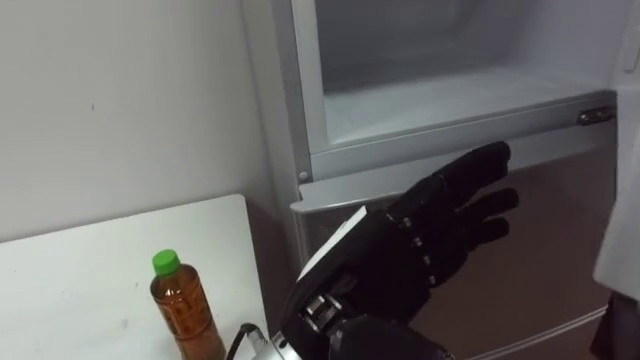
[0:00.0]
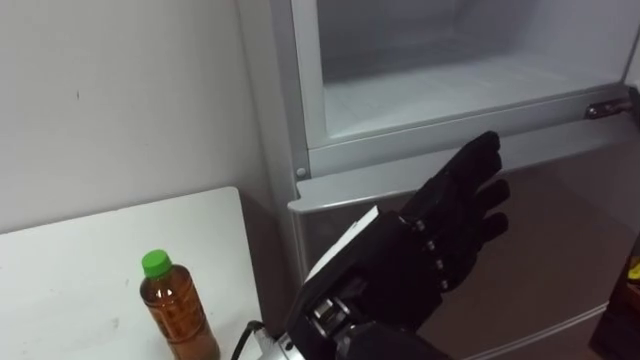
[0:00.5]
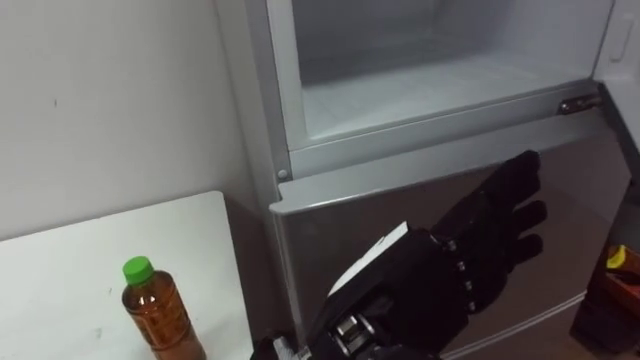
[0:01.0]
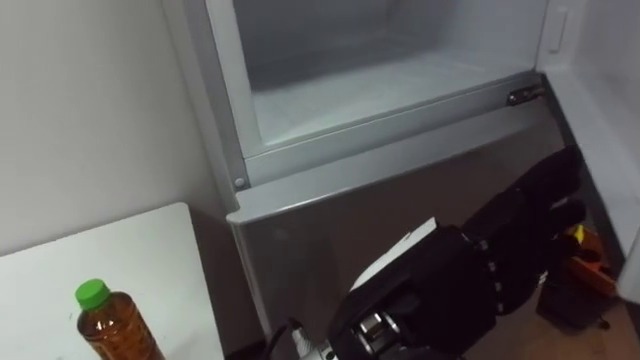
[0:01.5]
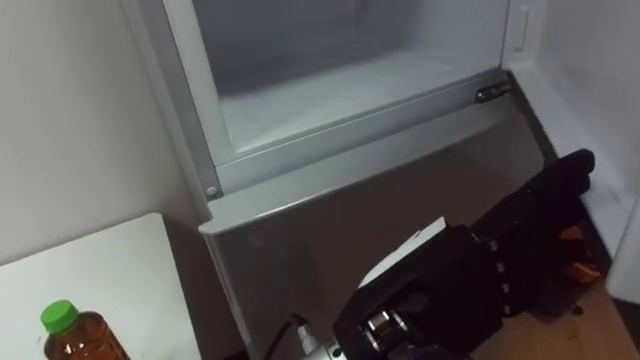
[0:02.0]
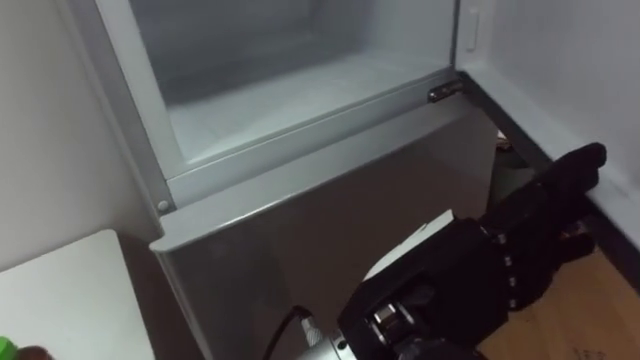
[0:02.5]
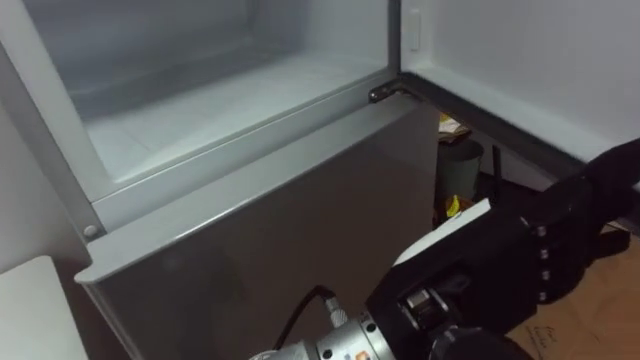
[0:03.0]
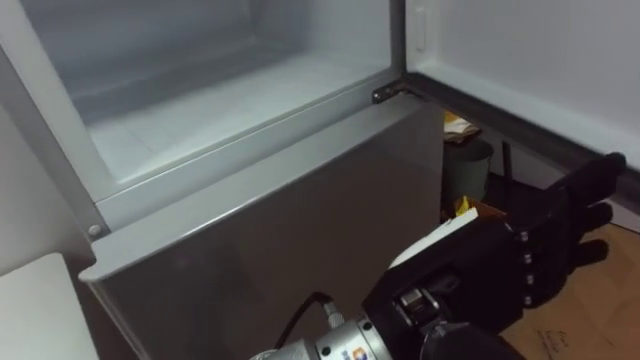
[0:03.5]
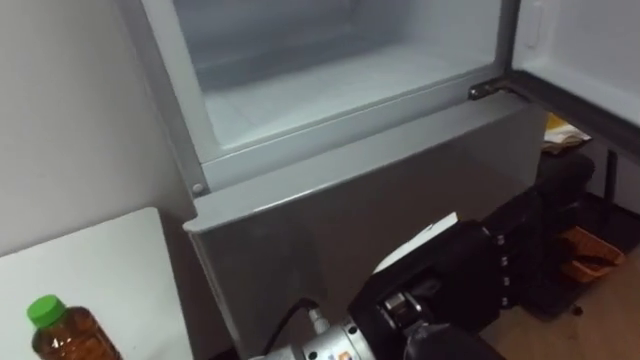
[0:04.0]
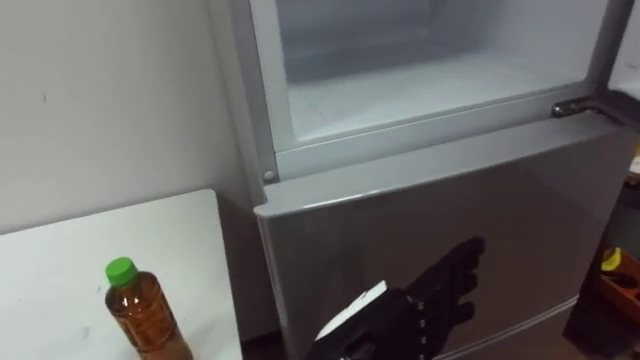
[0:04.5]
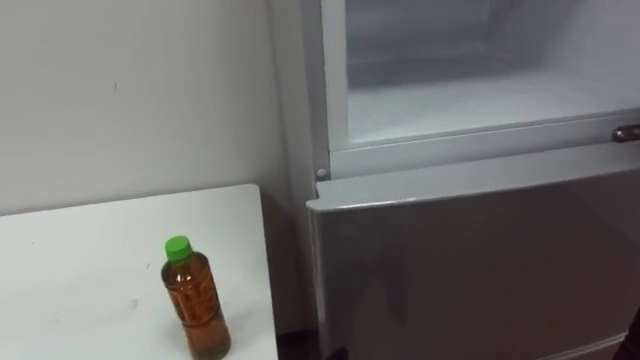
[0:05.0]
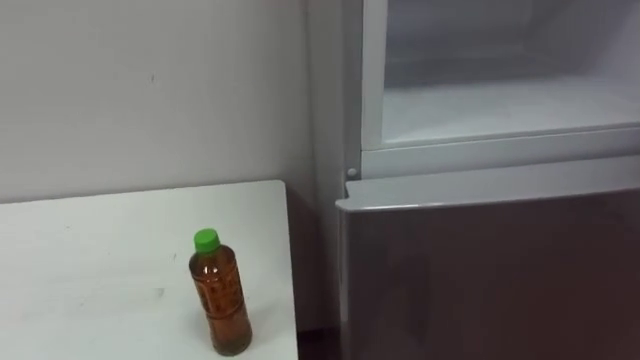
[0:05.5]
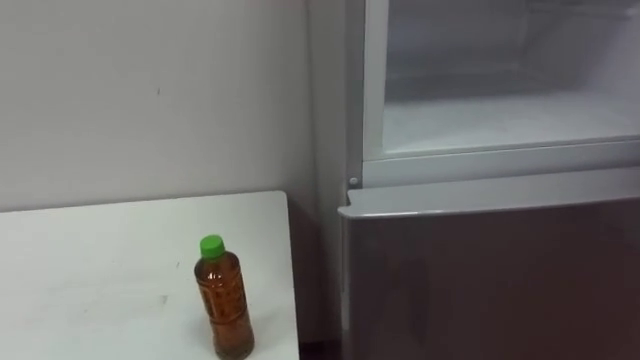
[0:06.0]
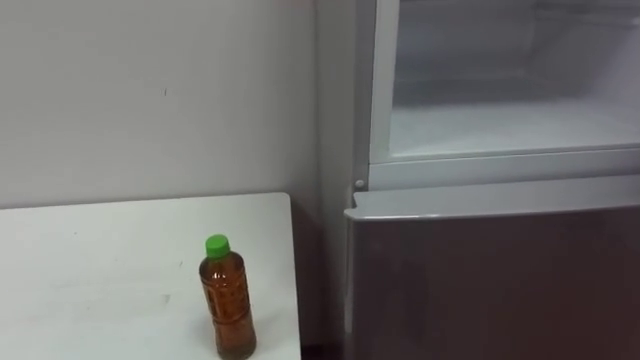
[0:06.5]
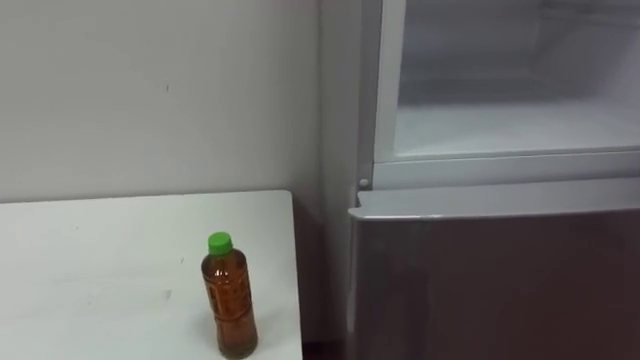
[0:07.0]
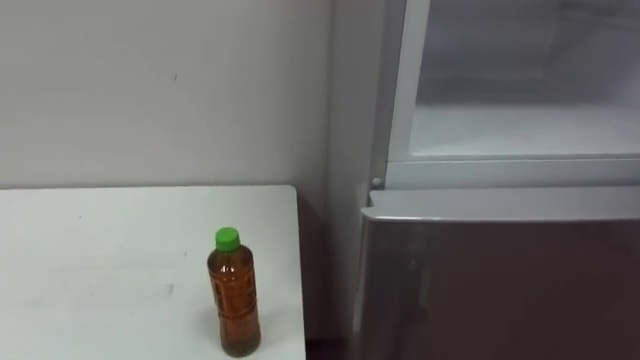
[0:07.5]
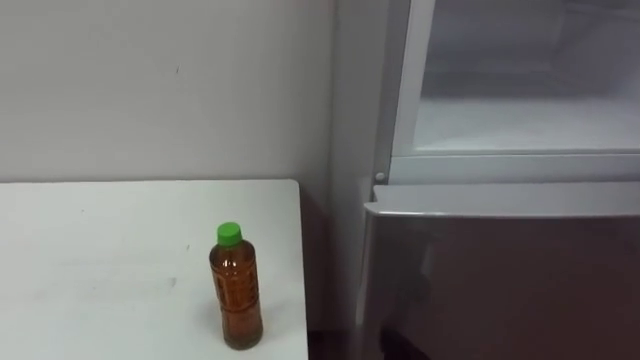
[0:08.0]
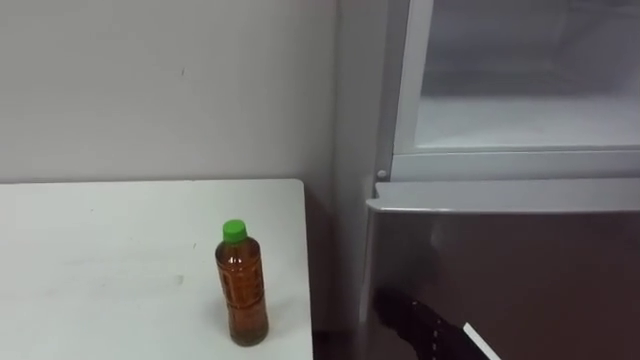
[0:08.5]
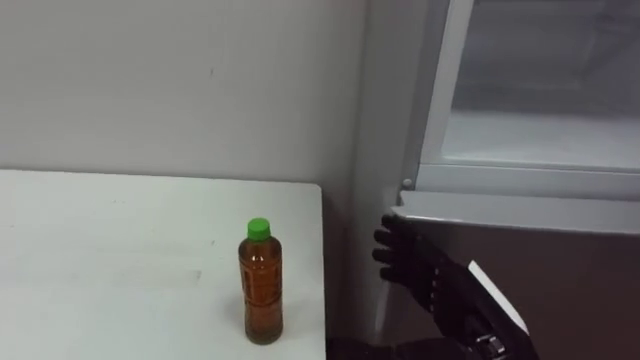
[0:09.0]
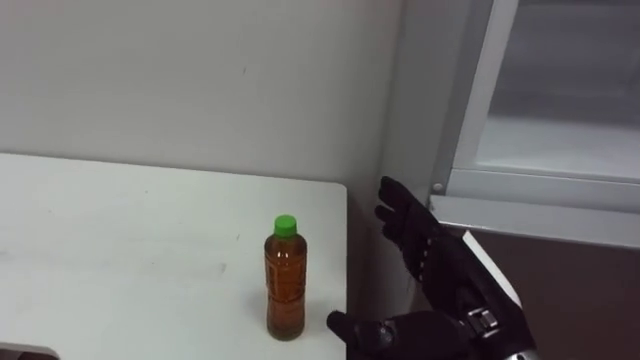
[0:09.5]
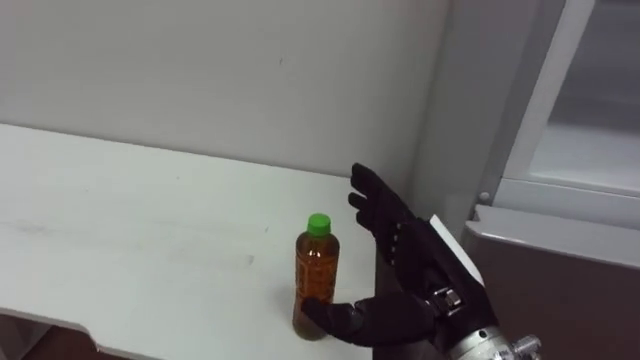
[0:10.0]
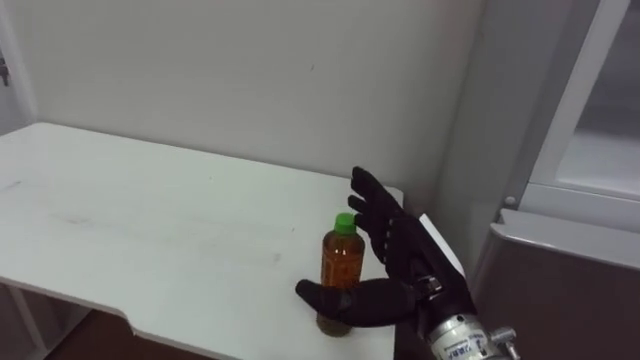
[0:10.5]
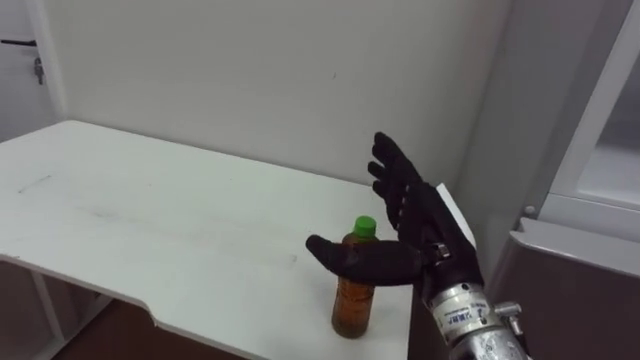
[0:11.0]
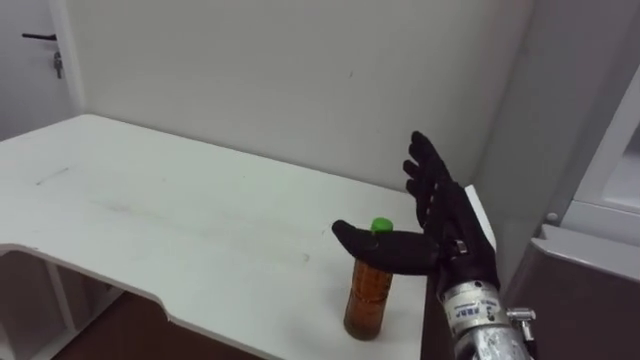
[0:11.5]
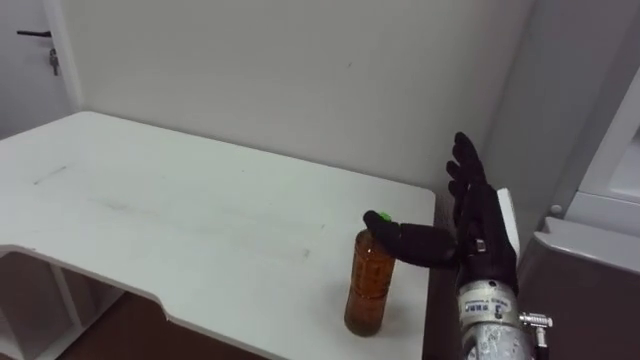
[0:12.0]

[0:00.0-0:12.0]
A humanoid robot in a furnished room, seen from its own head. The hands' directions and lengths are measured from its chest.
Task of the whole recording: Open the upper refrigerator door, put the drink from the table into the refrigerator, and then close the refrigerator door.
0:10.0 to 0:12.0: The right hand is displaced to the right by about 5 cm.

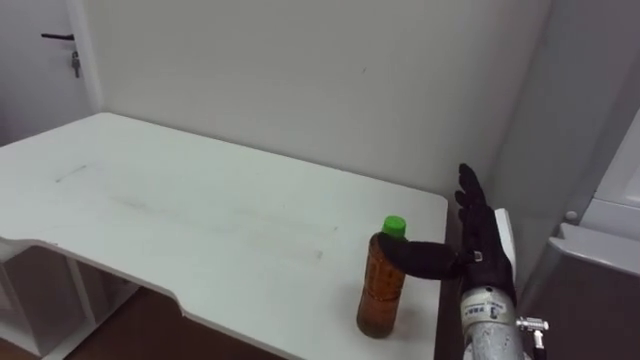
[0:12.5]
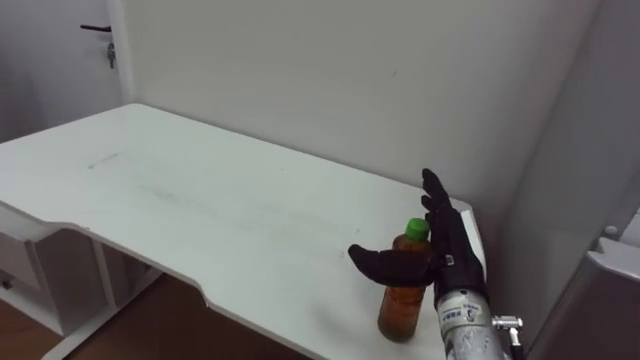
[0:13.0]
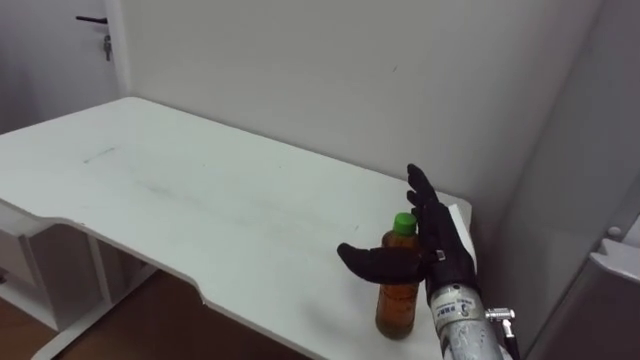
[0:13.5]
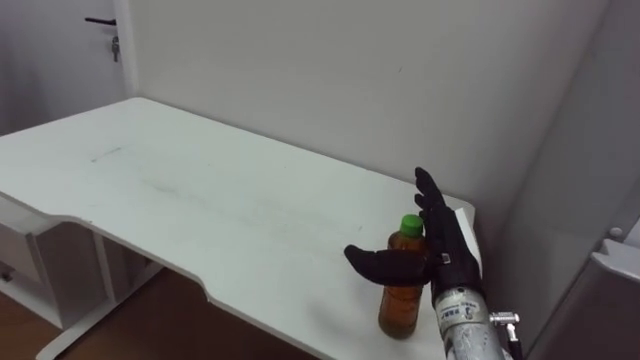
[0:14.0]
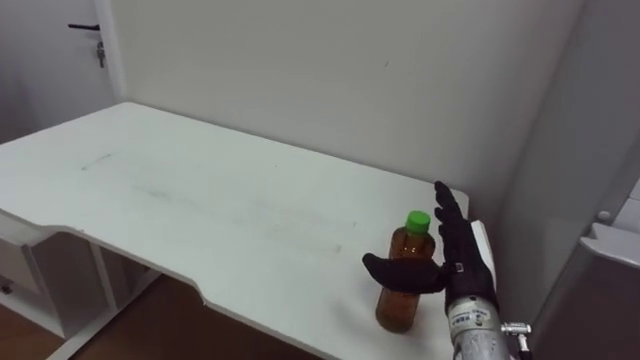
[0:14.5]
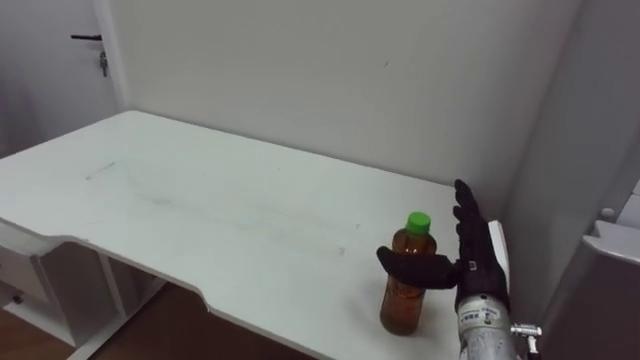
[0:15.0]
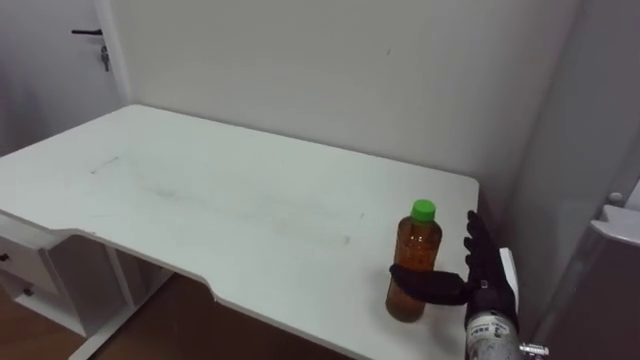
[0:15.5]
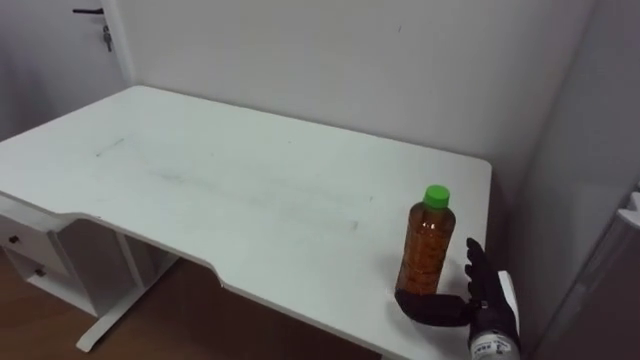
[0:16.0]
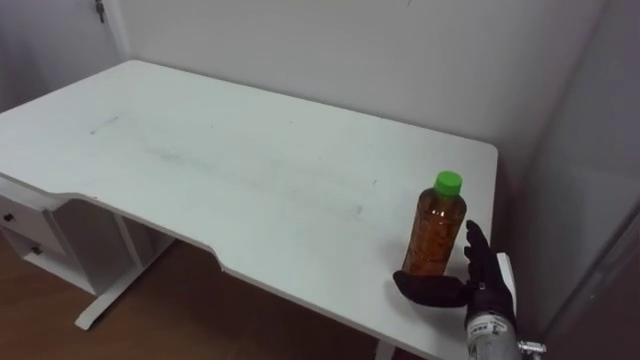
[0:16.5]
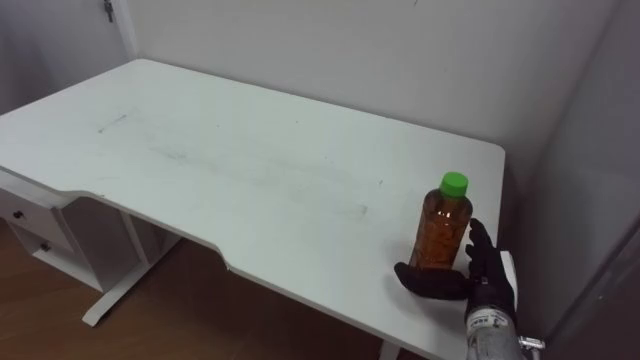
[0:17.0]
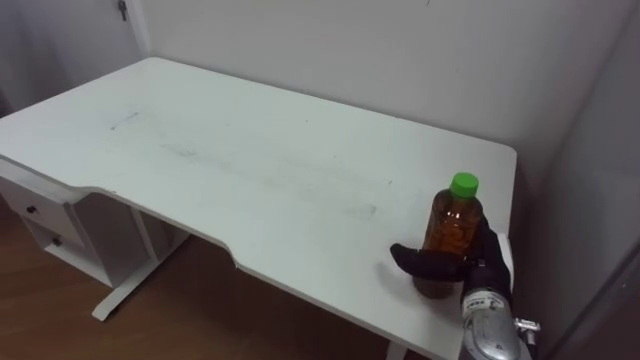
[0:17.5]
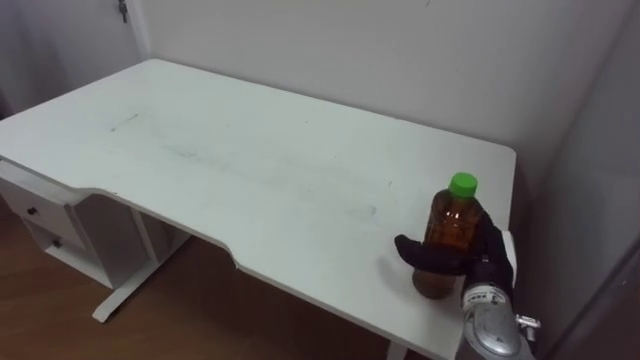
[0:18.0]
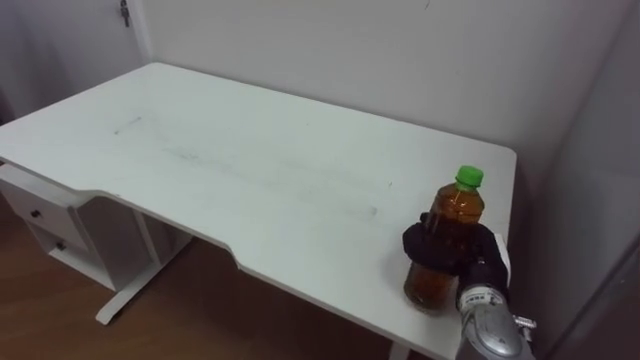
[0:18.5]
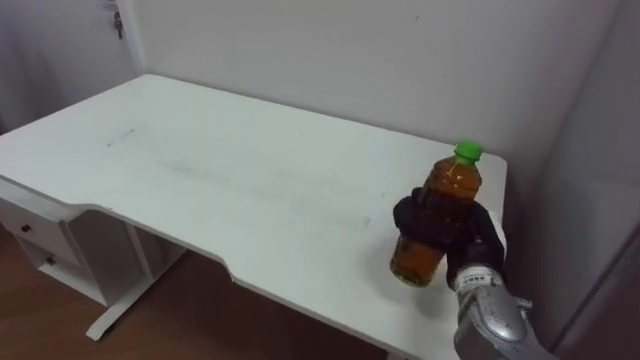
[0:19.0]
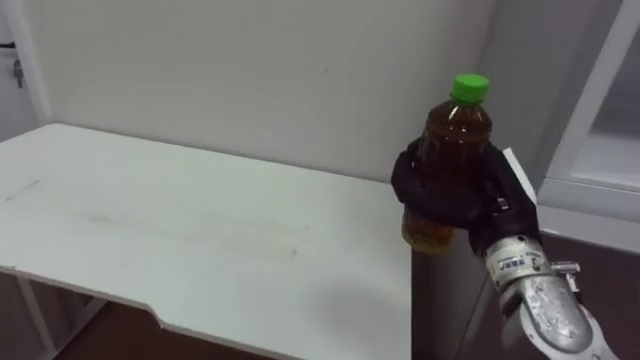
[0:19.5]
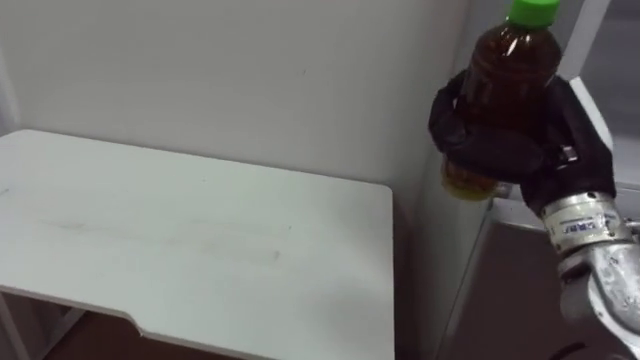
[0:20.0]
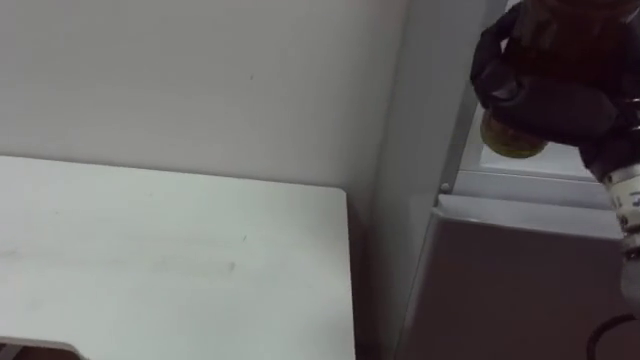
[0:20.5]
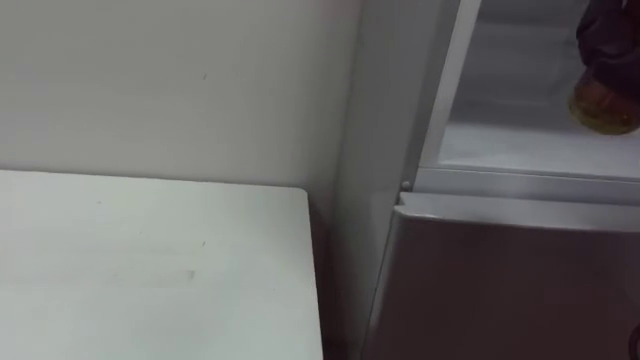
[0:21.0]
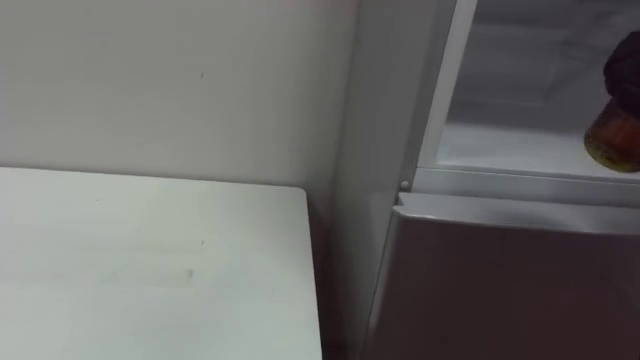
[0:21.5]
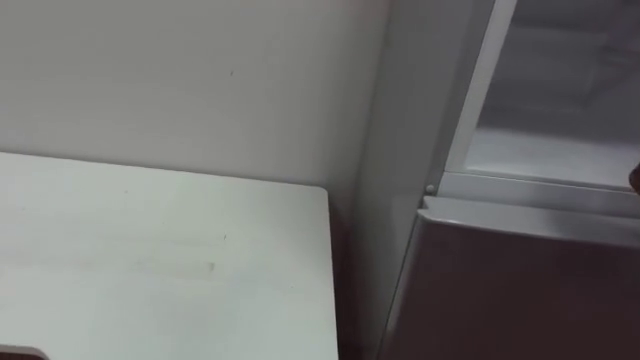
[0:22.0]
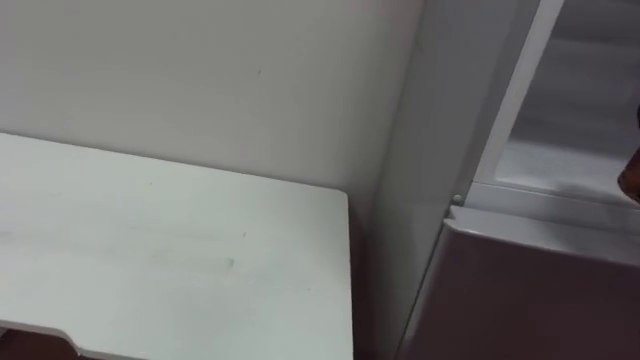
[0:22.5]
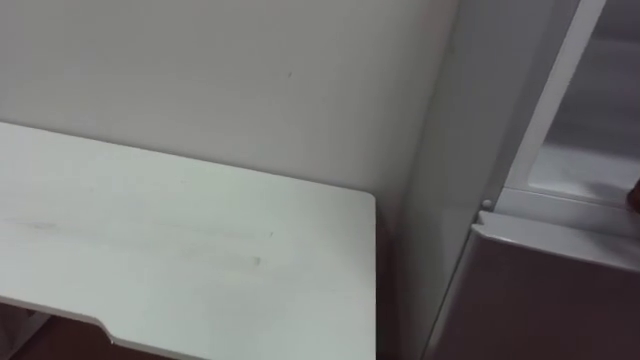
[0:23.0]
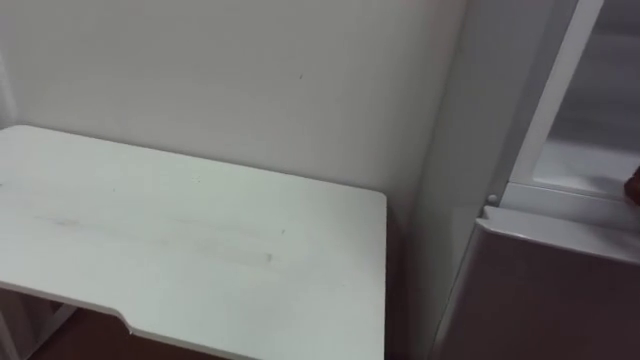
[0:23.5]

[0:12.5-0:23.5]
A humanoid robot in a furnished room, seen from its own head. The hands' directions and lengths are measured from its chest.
Task of the whole recording: Open the upper refrigerator door, put the drink from the table into the refrigerator, and then close the refrigerator door.
0:14.5 to 0:16.0: The right hand shifts some 5 cm downward.
0:16.0 to 0:18.0: The right hand shifts by about 5 cm.
0:18.0 to 0:20.0: The right hand moves upward, about 20 cm, and closes.
